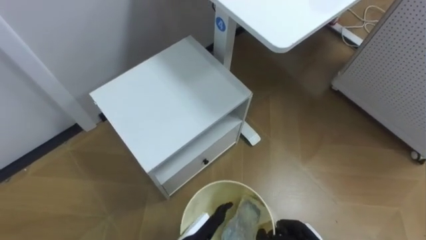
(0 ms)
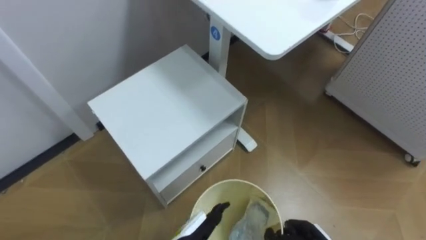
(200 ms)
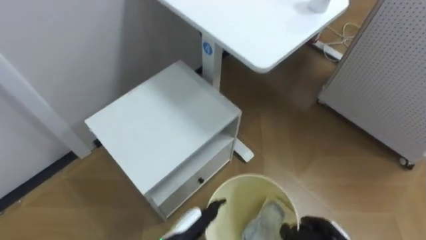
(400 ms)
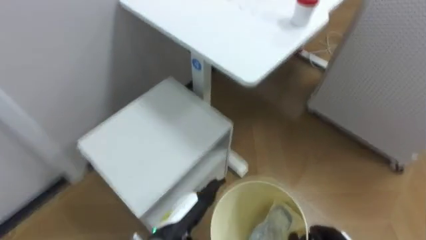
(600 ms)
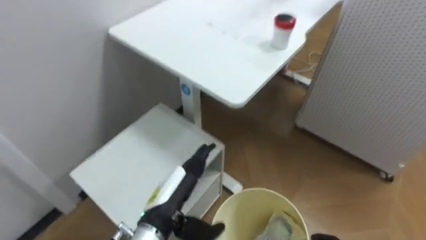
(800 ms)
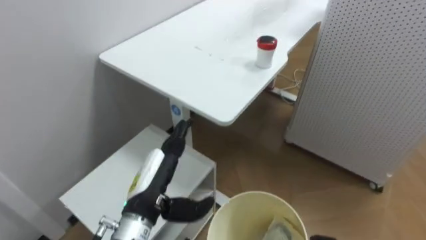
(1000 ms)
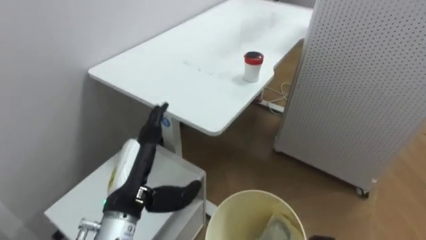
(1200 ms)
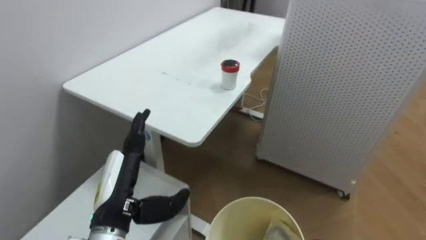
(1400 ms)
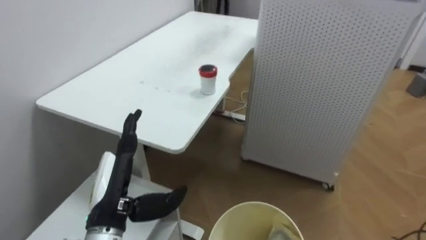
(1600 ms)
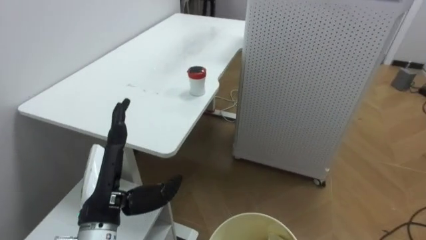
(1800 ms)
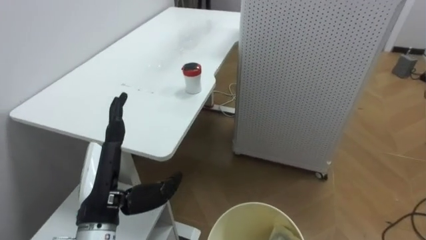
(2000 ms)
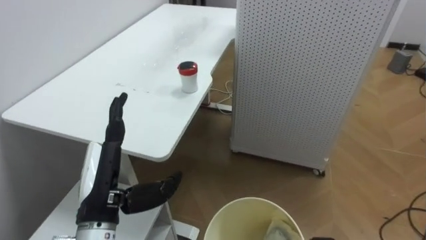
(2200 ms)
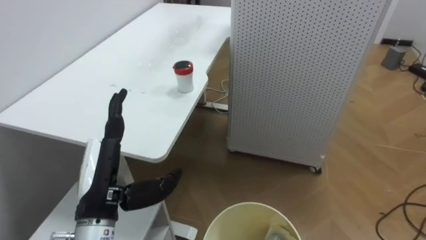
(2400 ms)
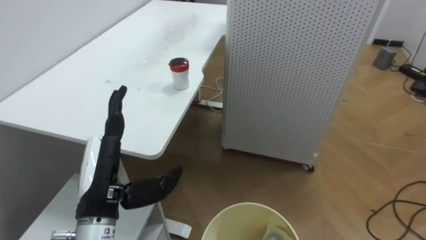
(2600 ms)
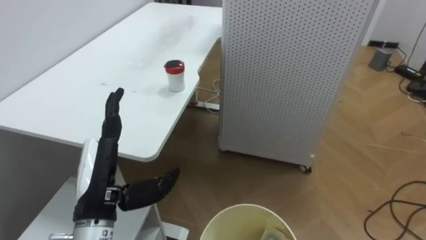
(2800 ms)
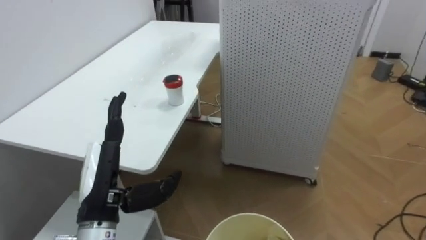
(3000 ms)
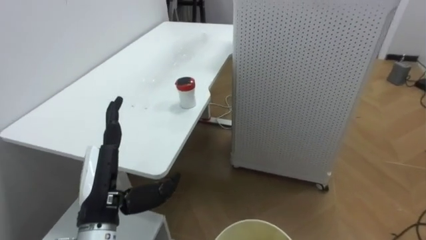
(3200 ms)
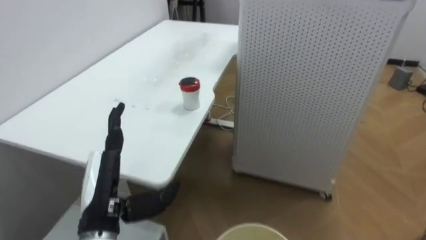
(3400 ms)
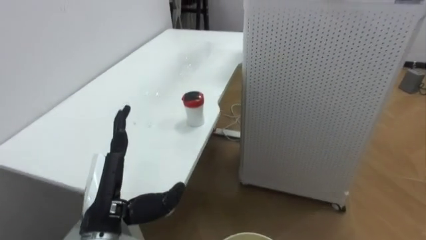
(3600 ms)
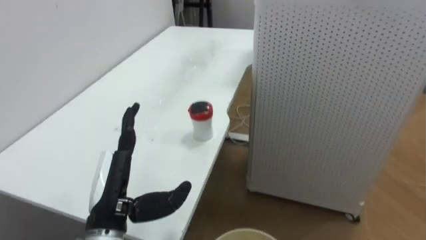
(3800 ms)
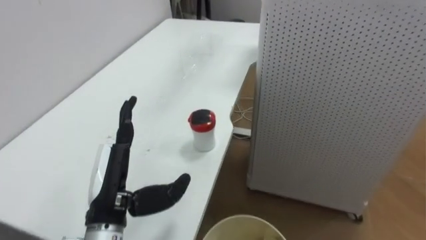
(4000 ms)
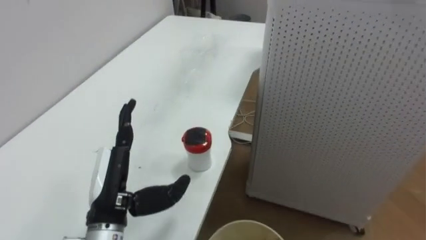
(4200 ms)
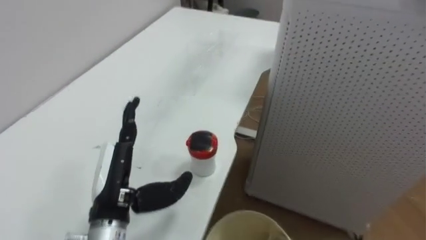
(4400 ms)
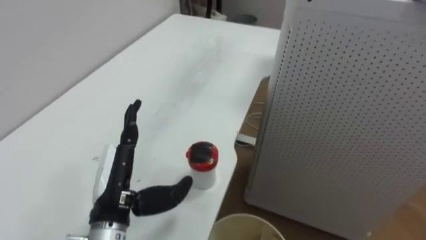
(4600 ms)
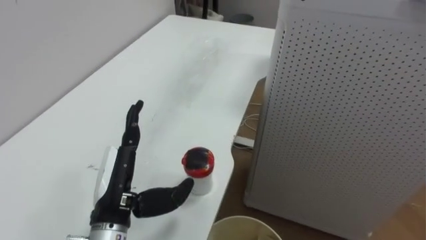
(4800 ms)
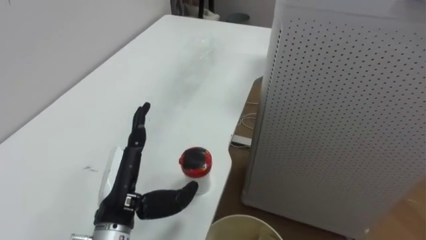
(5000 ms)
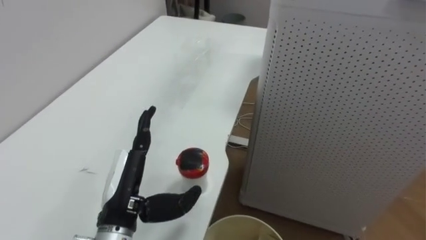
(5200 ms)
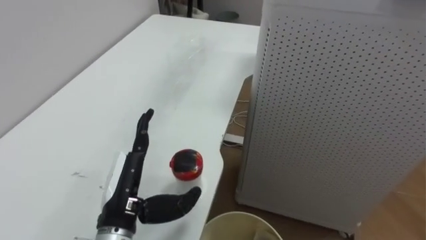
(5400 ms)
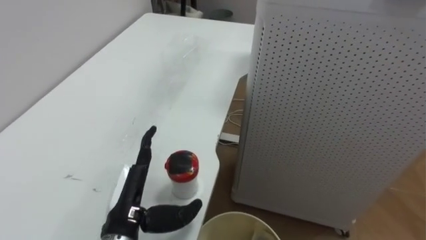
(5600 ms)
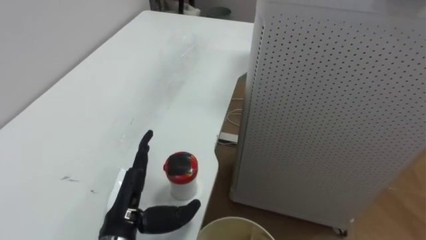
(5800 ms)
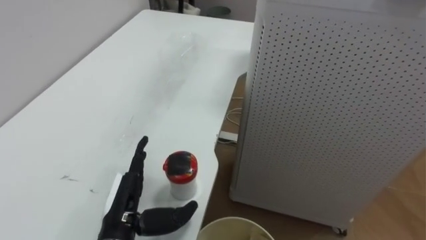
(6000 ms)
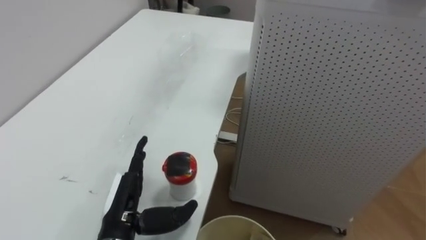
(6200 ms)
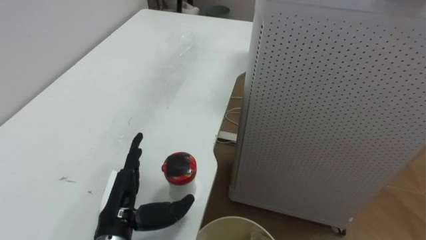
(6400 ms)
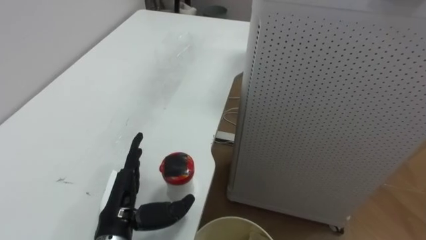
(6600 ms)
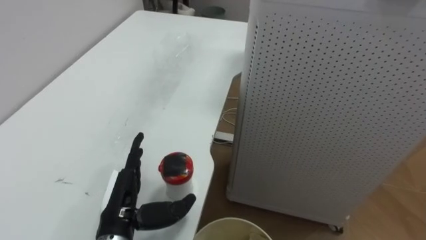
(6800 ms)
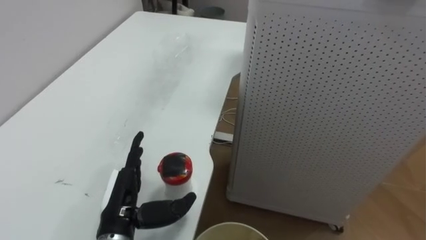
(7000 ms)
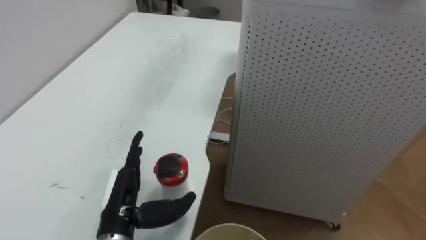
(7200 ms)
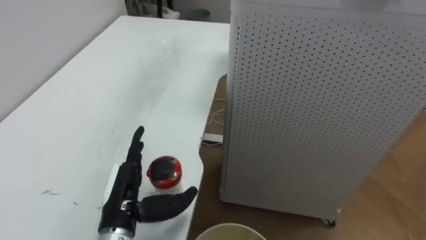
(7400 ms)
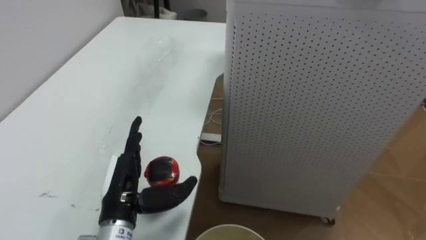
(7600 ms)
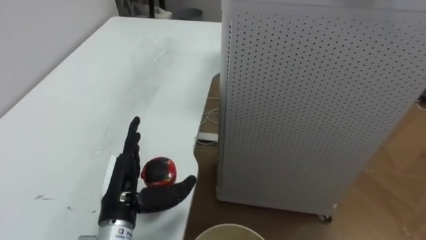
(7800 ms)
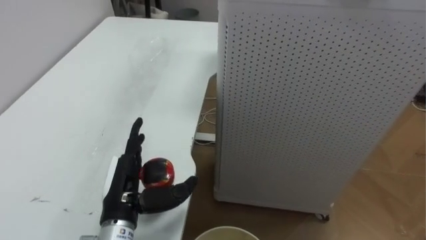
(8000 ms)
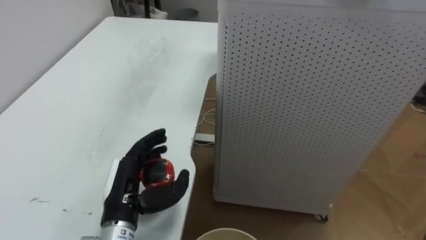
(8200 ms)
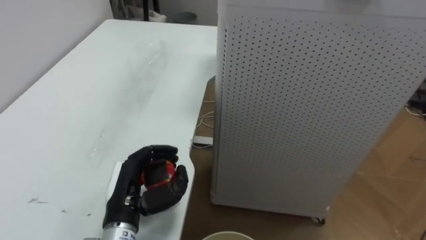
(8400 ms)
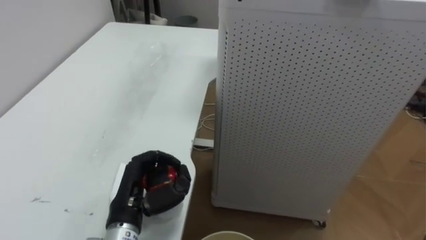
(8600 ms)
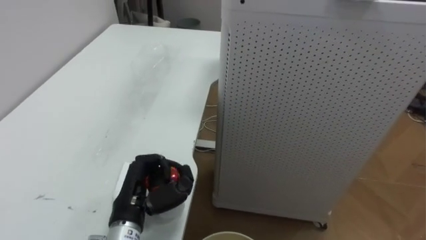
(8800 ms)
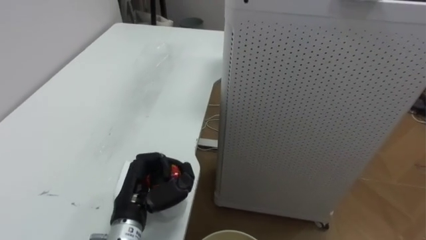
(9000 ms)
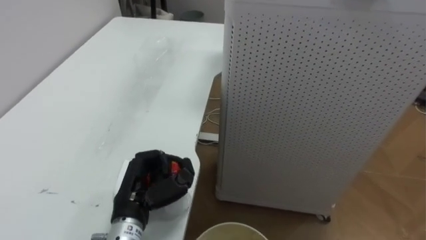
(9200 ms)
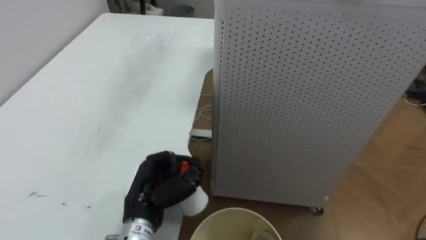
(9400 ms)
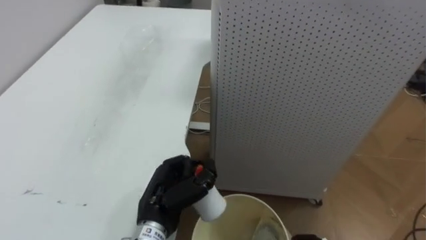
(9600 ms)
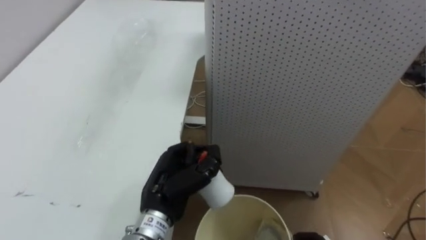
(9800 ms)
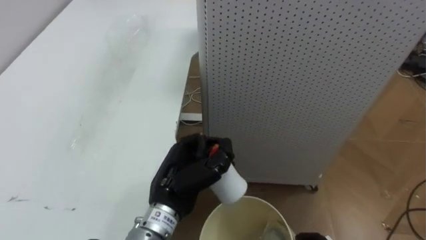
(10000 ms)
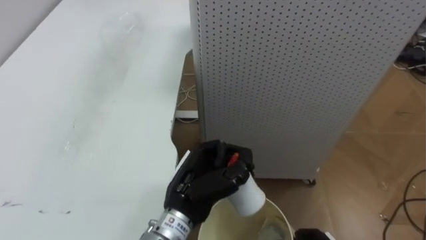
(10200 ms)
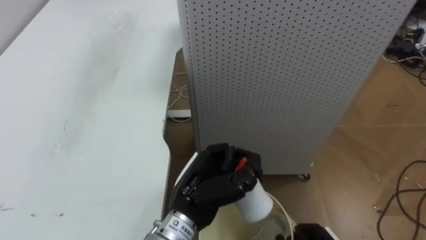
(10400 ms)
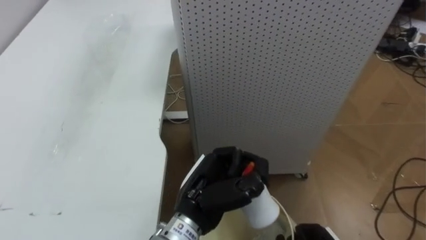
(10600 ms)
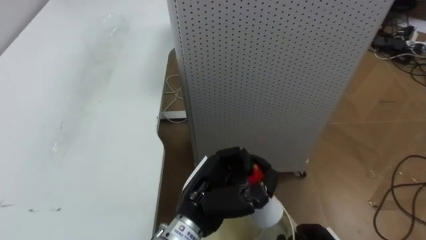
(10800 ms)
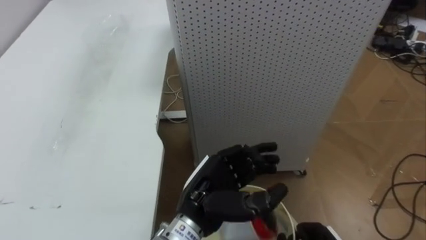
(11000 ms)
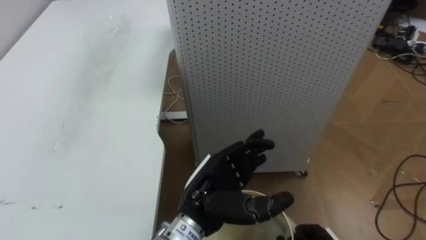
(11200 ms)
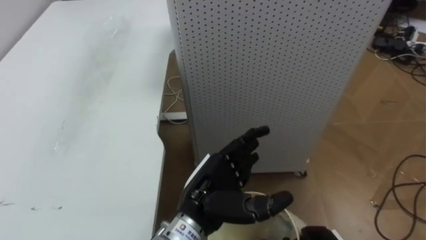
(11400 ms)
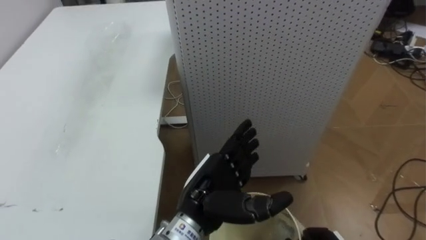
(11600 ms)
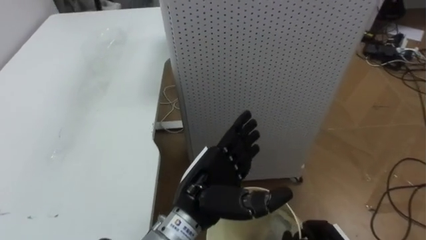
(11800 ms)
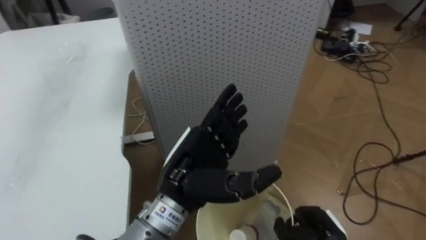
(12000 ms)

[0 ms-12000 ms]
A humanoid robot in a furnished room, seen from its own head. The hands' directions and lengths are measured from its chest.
Task of the whole recording: Pick up the light blue package, the candy box, and the dark blue package separately, and put them into the trash can held in your right hand.
0 ms to 1600 ms: The robot rotates approximately 25 degrees to its right. The left hand heads upward and to the left, covering some 20 cm.
4400 ms to 6000 ms: The left hand moves downward, approximately 5 cm.
7600 ms to 9000 ms: The left hand closes.
9000 ms to 10400 ms: The left hand is displaced to the right by roughly 10 cm.
10400 ms to 12000 ms: The left hand heads upward, covering approximately 5 cm, and opens.

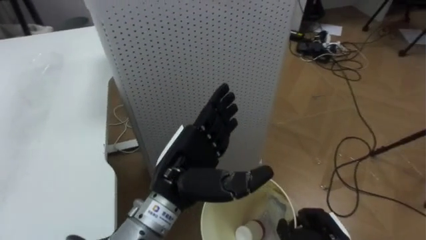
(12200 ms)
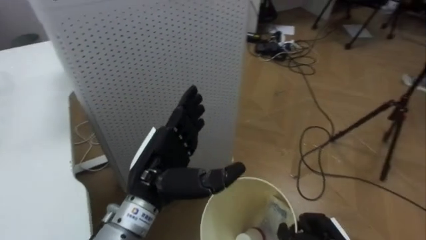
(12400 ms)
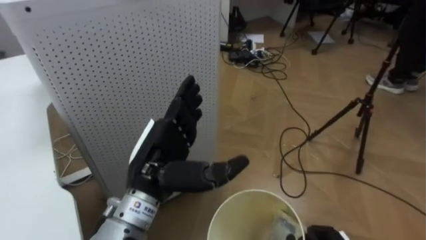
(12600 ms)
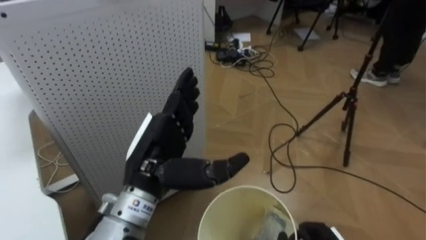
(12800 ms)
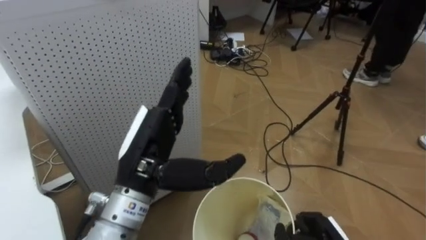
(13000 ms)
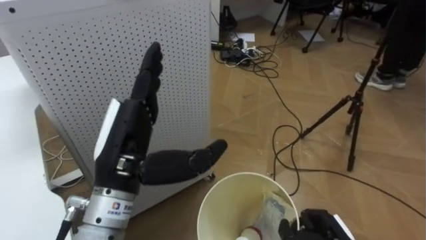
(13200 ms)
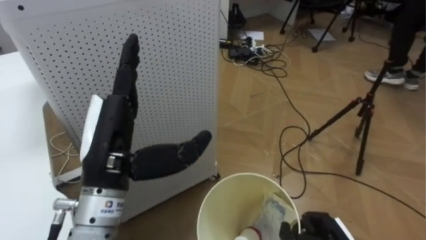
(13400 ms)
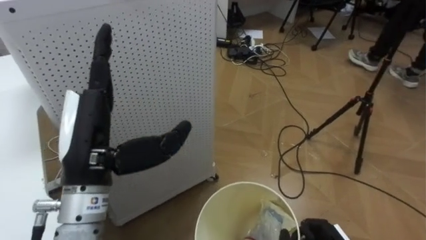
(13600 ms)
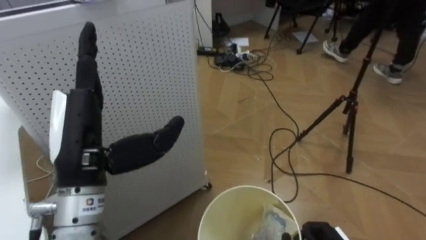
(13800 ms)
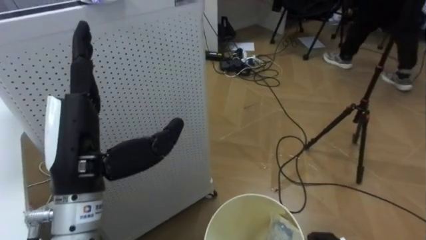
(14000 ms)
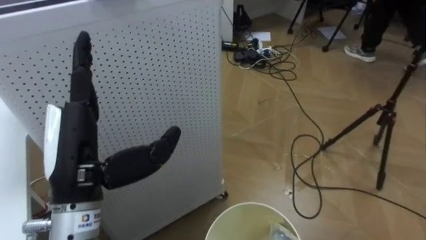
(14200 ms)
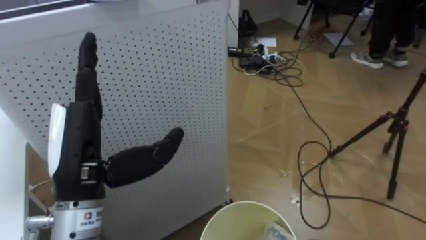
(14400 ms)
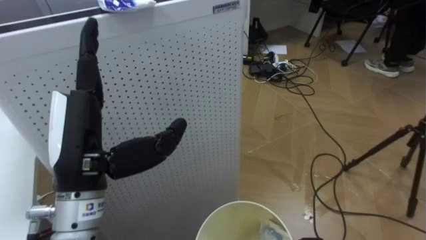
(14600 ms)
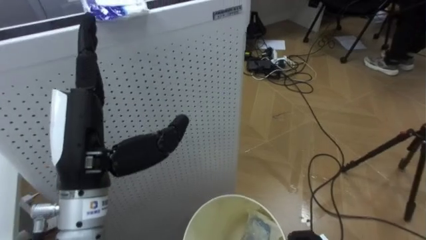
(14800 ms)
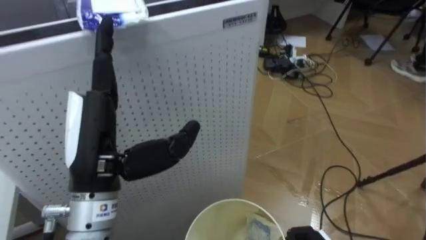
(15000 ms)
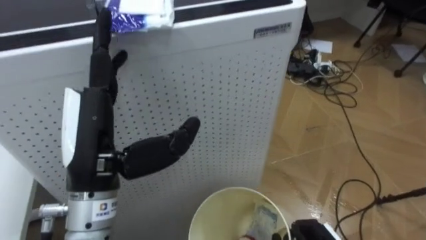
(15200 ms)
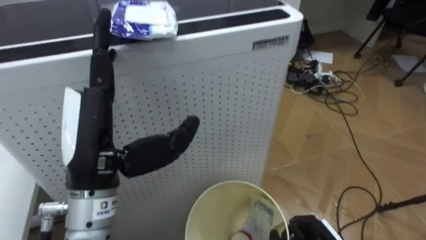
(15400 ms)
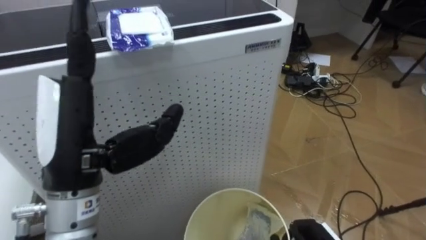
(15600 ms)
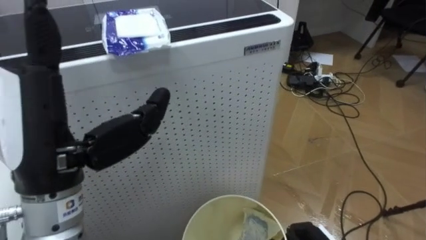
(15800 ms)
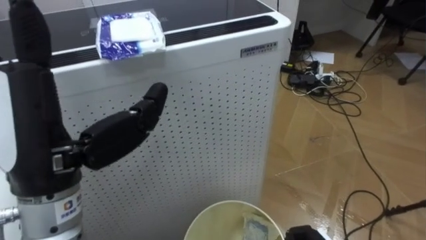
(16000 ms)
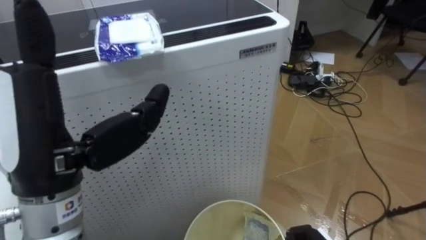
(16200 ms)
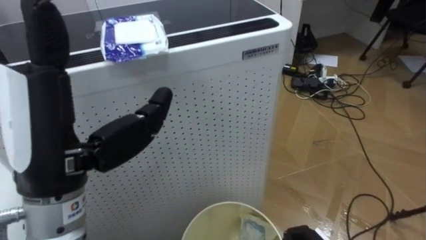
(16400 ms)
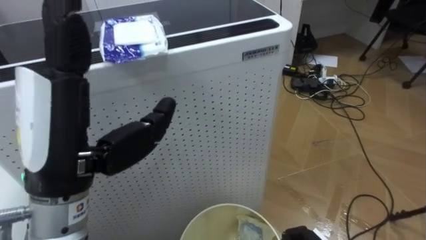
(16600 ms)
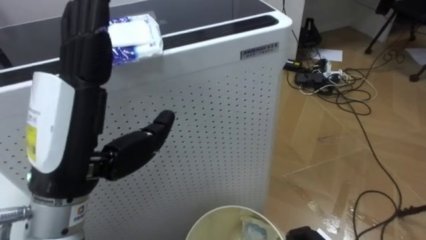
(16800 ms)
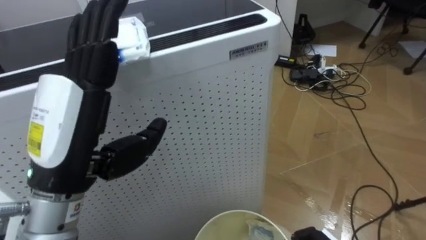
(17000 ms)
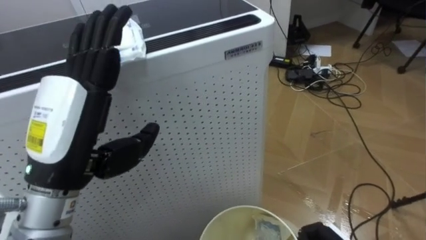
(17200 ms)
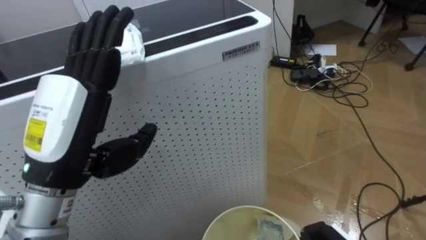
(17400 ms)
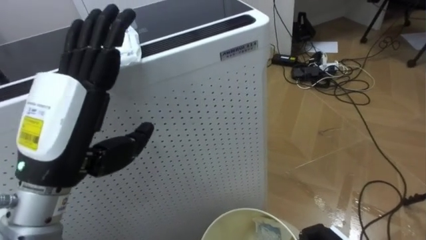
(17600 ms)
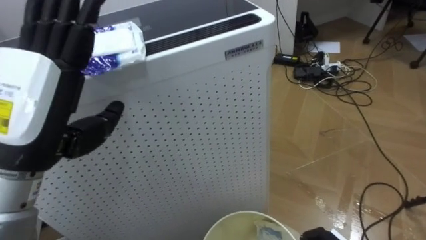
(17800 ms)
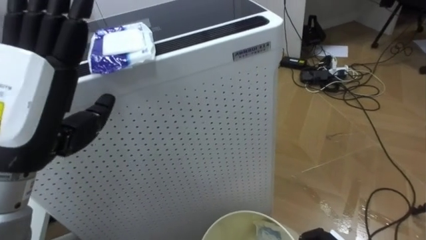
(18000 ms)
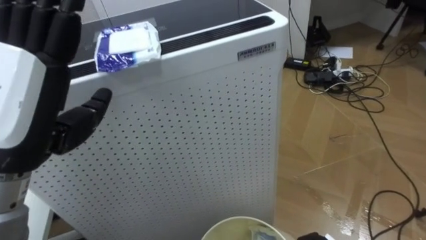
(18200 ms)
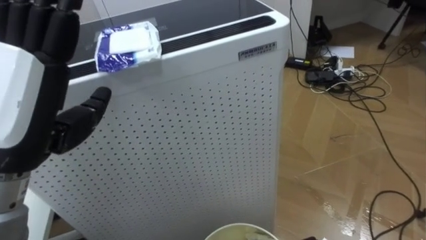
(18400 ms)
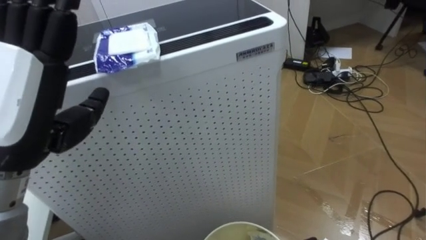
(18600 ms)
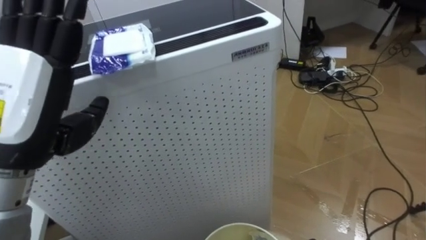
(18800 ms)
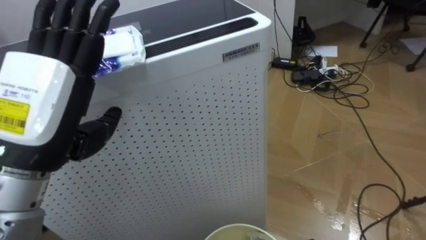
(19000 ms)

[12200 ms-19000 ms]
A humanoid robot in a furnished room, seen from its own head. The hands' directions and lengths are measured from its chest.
Task of the whole recording: Pick up the light blue package, the candy box, and the dark blue package separately, and put them into the trash can held in your right hand.
12200 ms to 13600 ms: The robot faces about 20 degrees further to its right. The left hand moves to the left and upward, roughly 15 cm.
15000 ms to 16200 ms: The left hand shifts about 5 cm upward.
